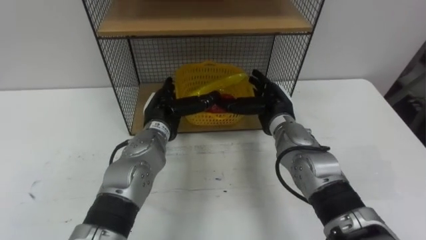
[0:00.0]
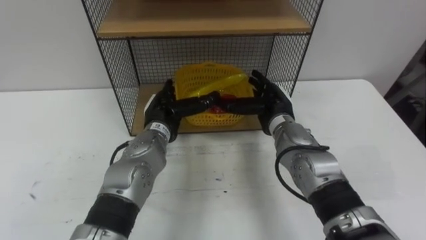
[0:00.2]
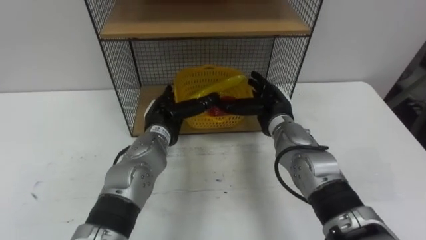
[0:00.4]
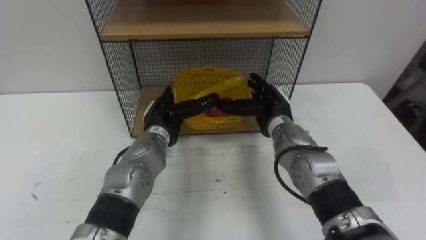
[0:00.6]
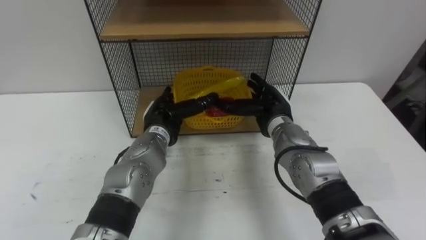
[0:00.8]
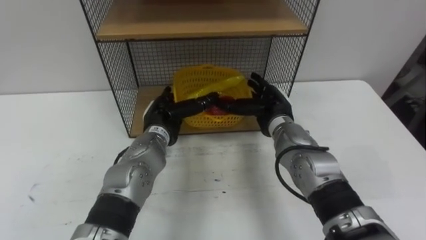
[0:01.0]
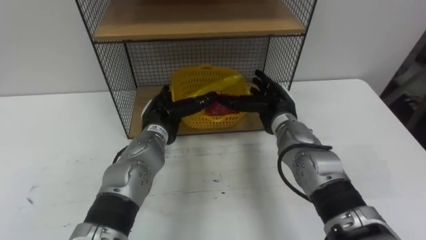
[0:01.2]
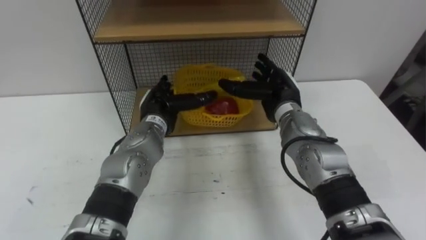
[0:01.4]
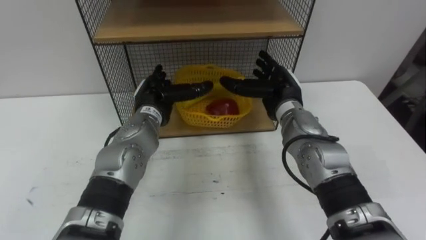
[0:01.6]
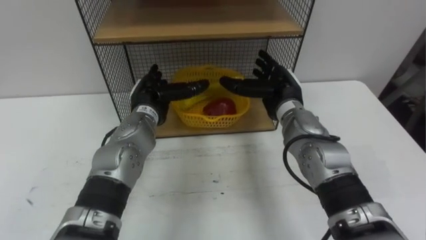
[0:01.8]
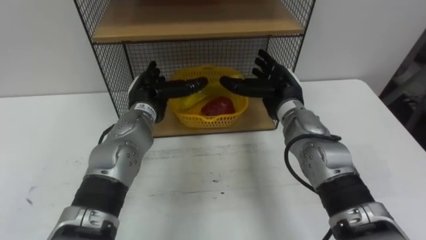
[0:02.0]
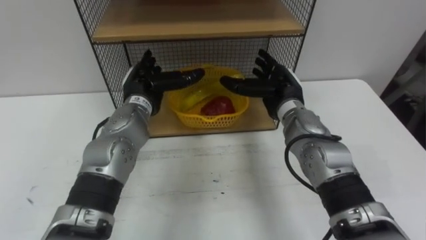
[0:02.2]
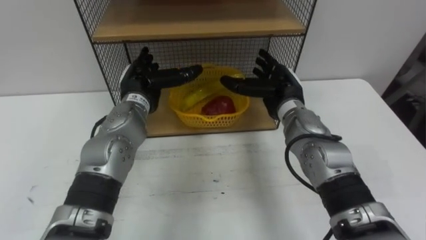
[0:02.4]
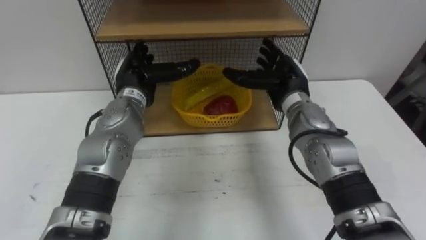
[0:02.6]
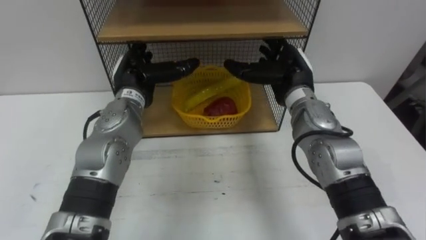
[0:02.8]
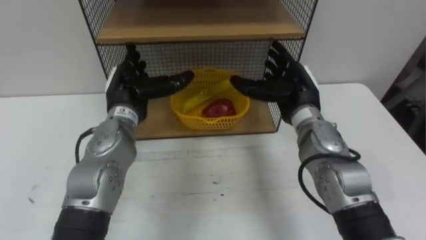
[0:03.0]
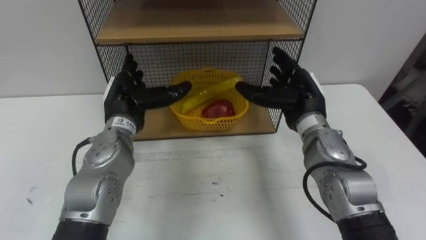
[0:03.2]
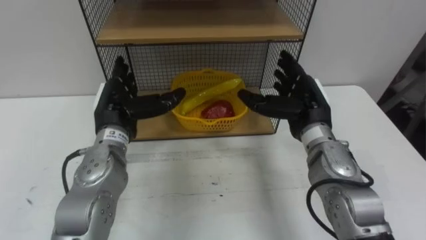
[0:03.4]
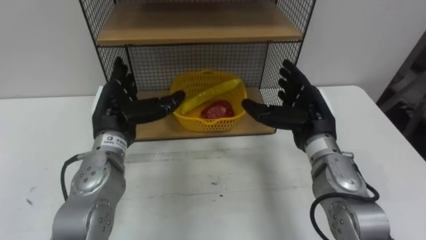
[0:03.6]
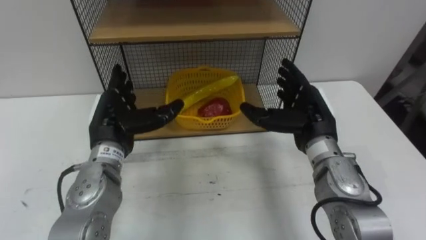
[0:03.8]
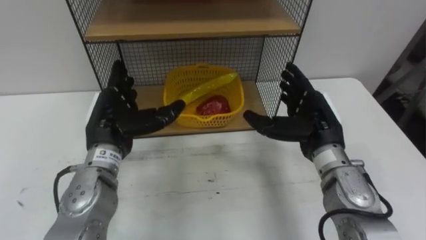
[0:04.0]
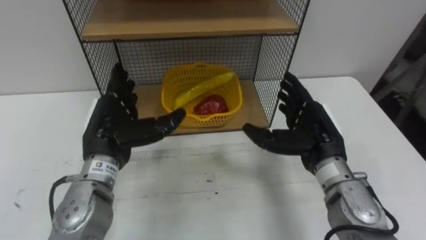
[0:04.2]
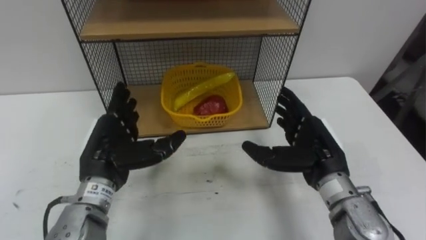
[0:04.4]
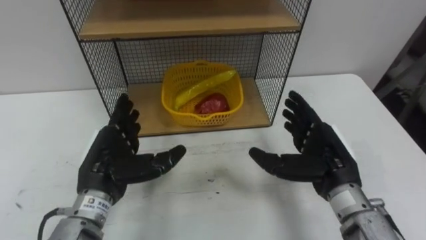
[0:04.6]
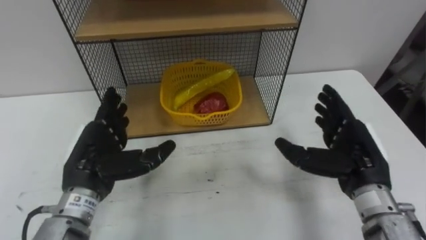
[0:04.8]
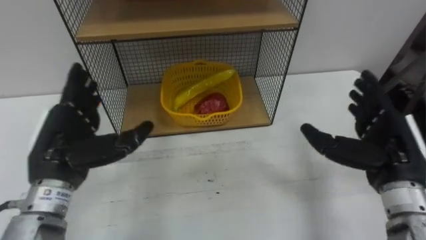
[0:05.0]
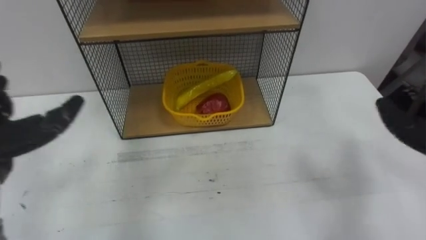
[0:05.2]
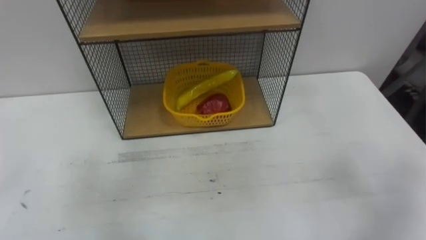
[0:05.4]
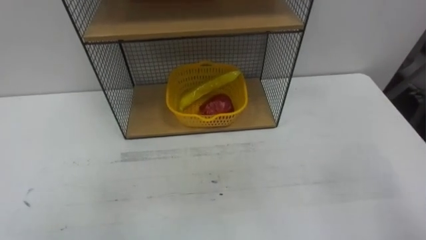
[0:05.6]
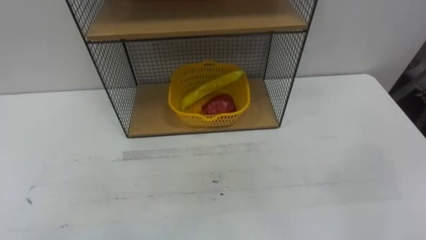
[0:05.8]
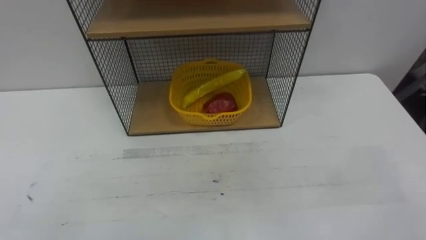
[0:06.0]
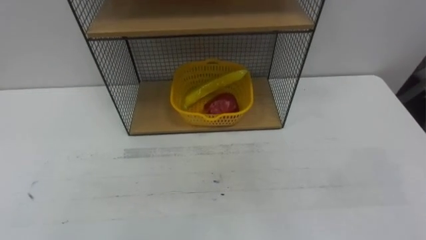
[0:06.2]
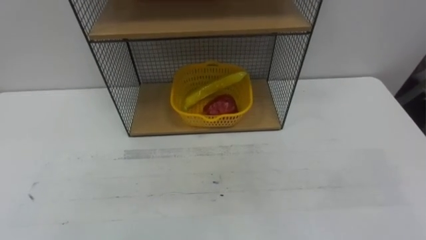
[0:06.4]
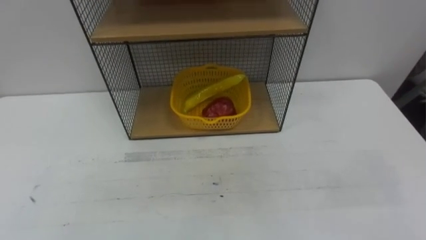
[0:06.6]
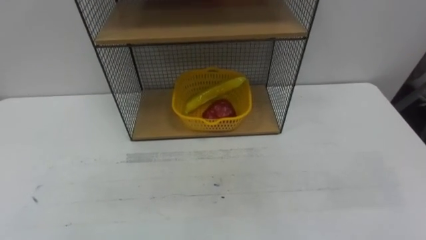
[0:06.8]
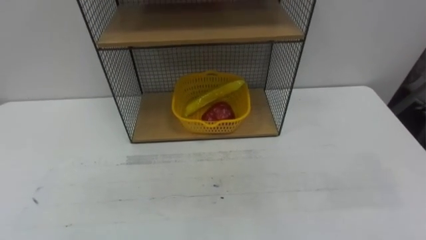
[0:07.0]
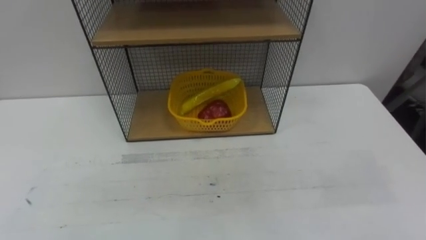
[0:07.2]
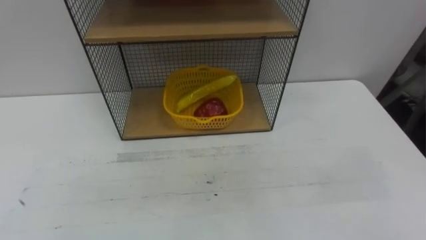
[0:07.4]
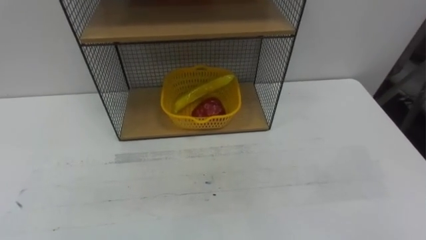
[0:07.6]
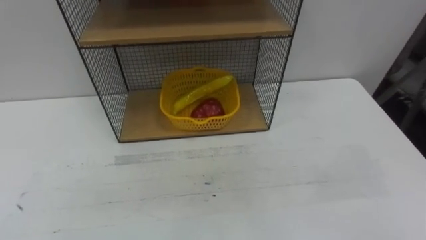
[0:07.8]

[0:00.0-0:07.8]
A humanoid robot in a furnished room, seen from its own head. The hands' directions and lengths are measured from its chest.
Task of the whole recording: Put the fruit on the table into the basket, then place the basket on the shelf.
0:01.6 to 0:03.2: The left hand changes place by some 5 cm. Meanwhile the right hand ends up approximately 5 cm from where it was.
0:03.2 to 0:04.6: The two hands go about 10 cm backward.

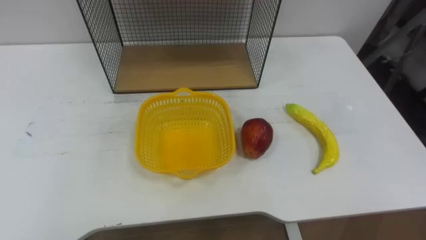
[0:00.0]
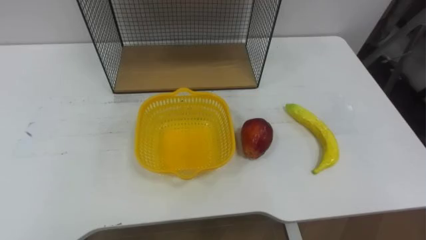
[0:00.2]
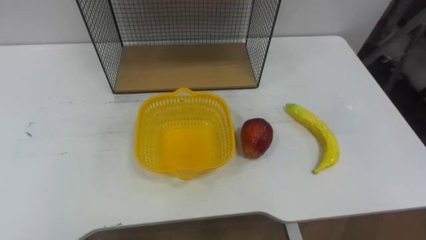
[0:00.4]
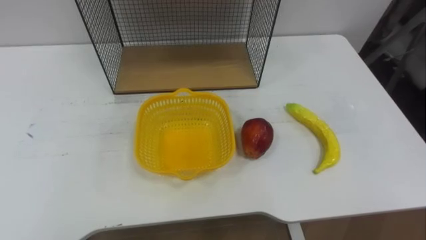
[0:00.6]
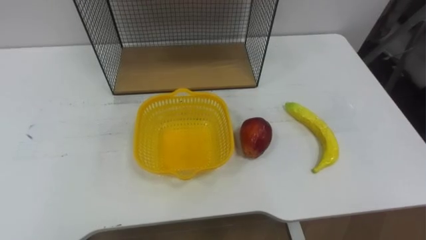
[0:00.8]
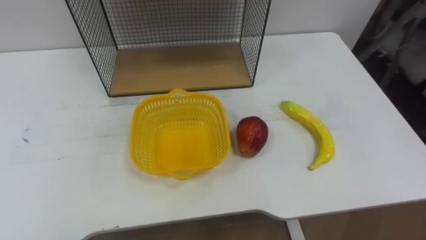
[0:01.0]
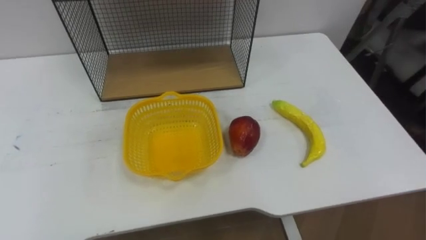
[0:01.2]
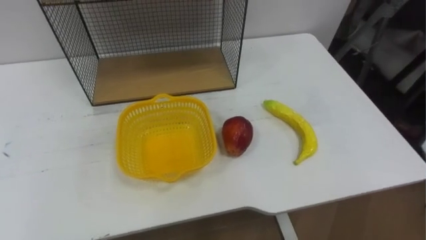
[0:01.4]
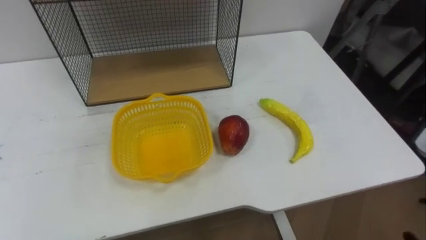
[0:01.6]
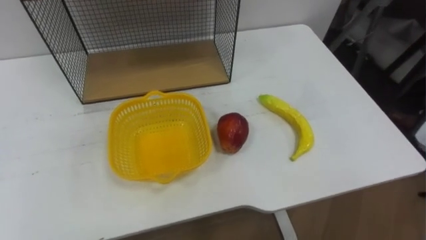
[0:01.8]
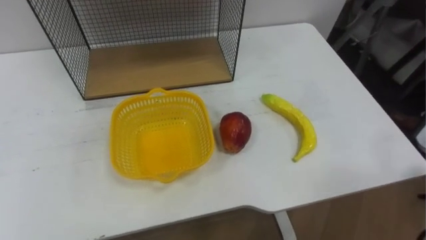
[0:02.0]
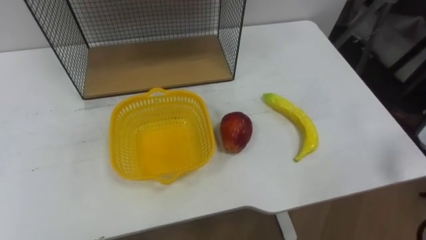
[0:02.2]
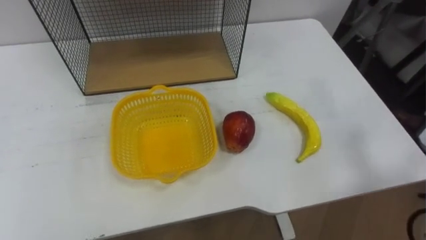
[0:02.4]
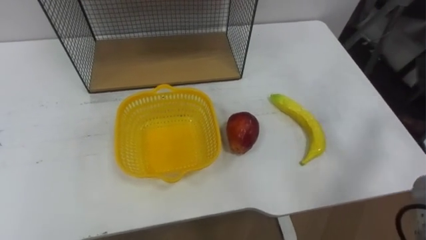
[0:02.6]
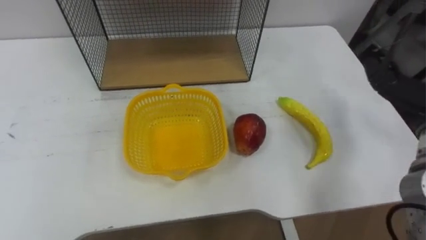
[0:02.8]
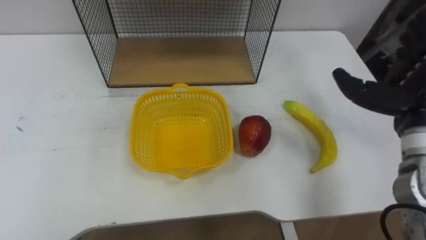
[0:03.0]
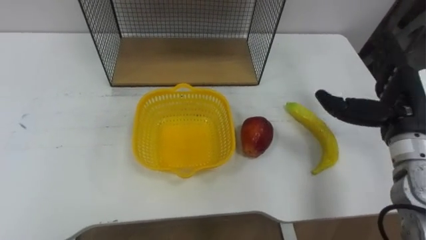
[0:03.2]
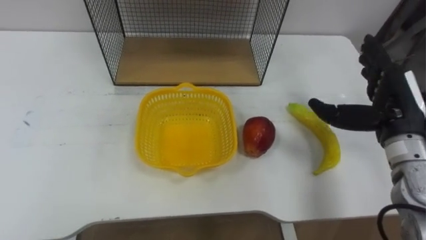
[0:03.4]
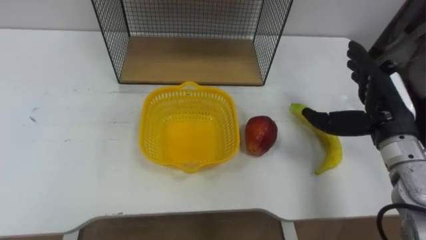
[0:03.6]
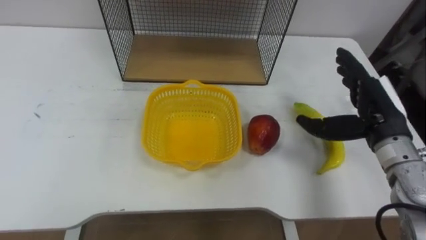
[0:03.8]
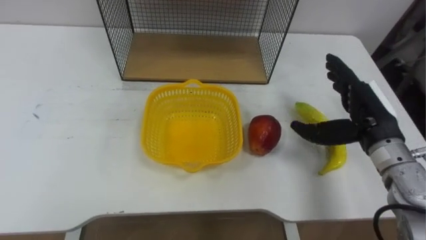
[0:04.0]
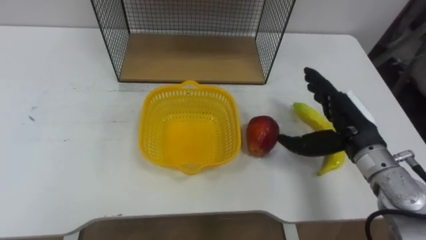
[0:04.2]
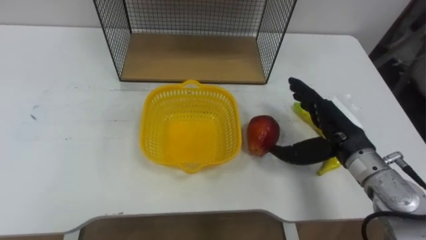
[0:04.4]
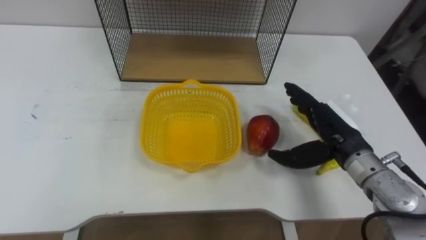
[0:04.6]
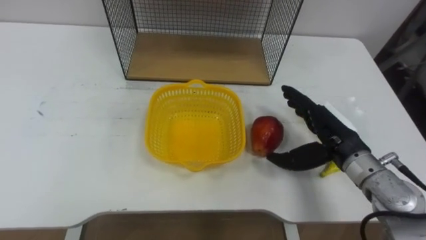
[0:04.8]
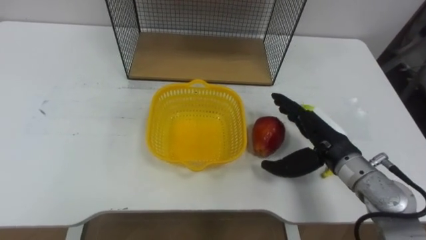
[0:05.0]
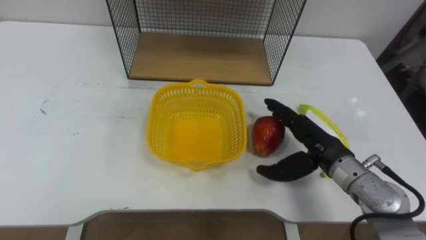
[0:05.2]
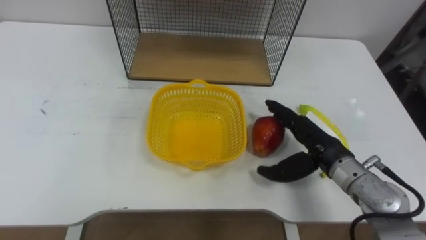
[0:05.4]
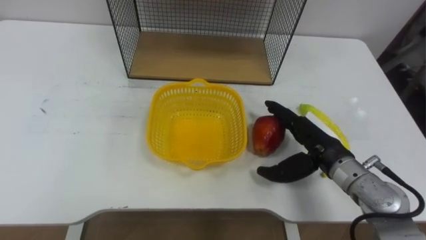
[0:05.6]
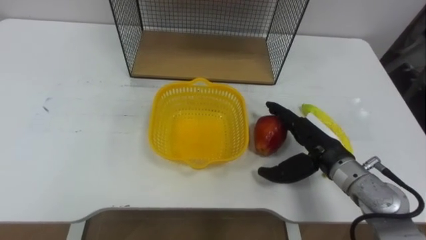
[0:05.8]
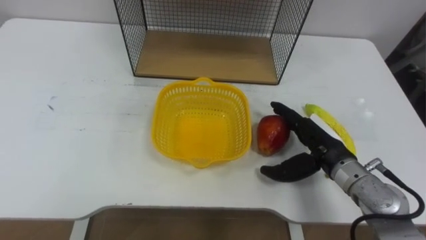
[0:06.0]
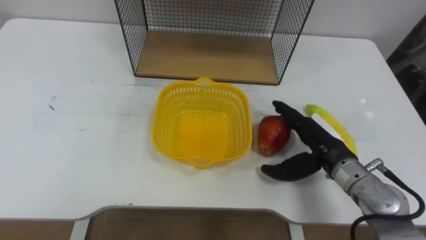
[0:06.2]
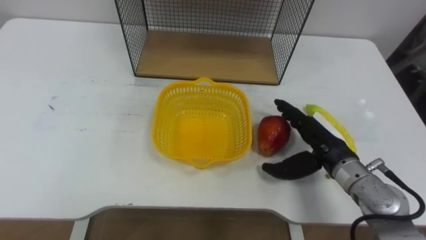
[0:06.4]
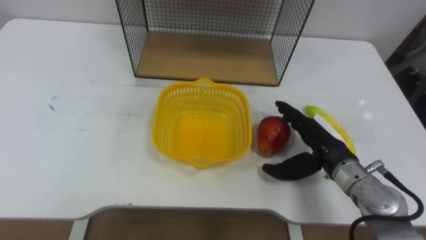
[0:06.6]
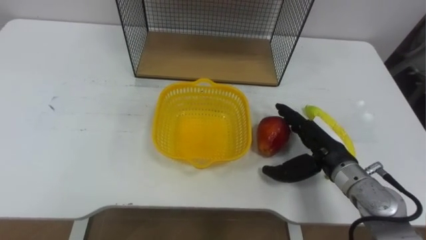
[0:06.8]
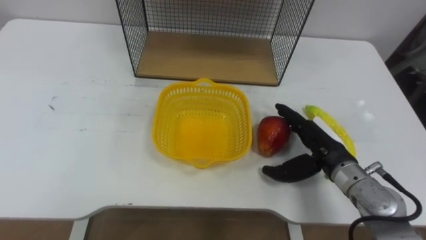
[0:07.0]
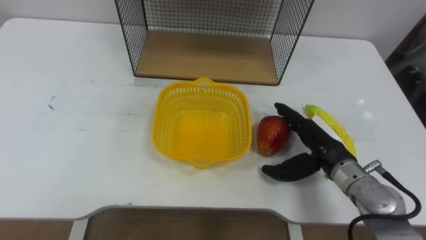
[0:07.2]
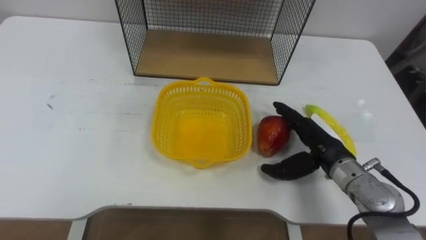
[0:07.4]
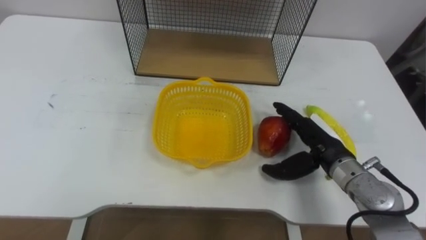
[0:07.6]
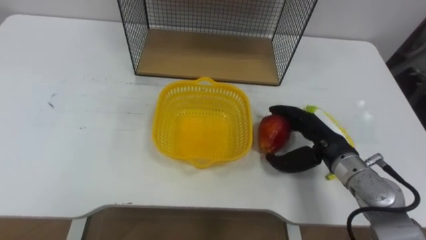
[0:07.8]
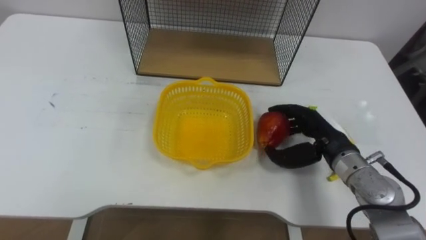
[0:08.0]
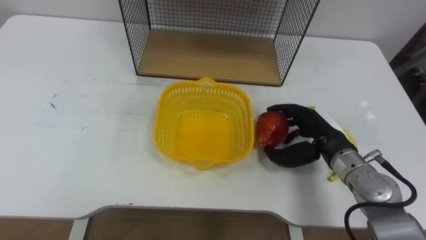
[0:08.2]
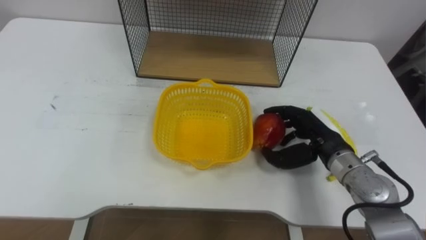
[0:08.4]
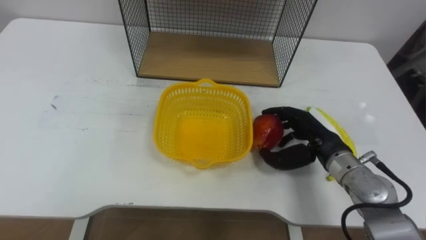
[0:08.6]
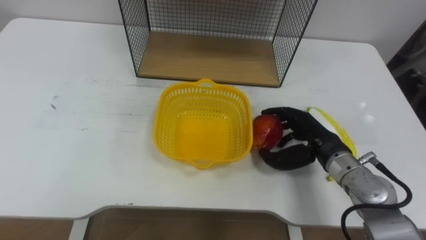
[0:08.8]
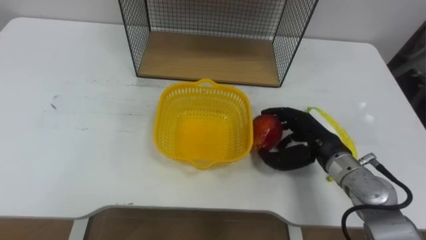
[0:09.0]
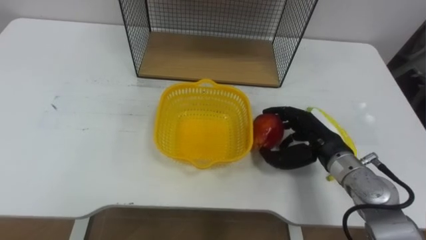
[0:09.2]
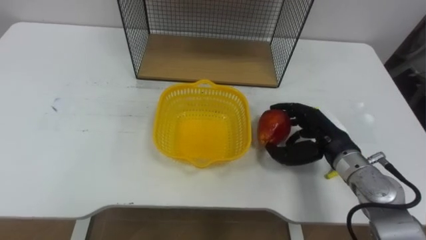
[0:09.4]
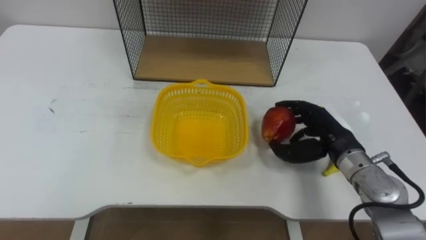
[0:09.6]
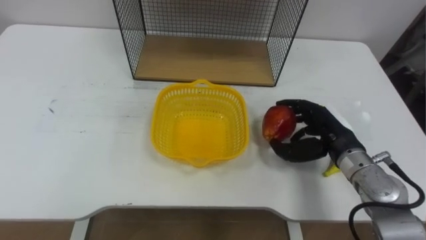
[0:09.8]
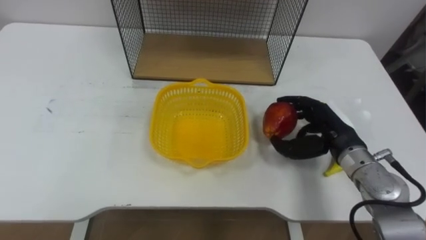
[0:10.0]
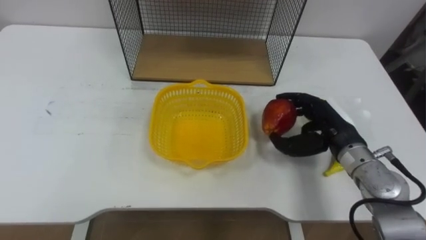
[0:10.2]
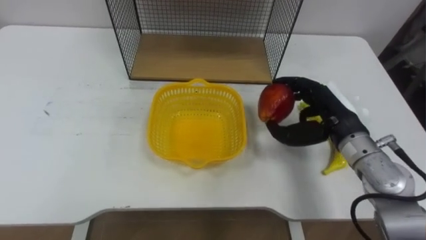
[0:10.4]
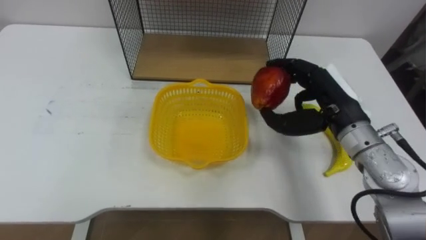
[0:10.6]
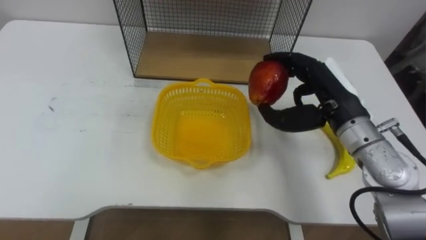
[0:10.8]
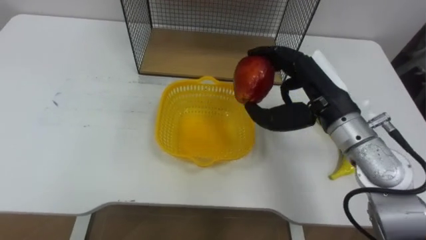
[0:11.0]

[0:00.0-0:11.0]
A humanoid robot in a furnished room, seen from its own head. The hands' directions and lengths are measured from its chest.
Task of the whole recording: Put the fruit on the table into the basket, then place the basket on the shelf.
0:03.2 to 0:04.8: The right hand moves to the left and downward, some 10 cm.
0:09.4 to 0:11.0: The right hand travels upward by approximately 10 cm.
